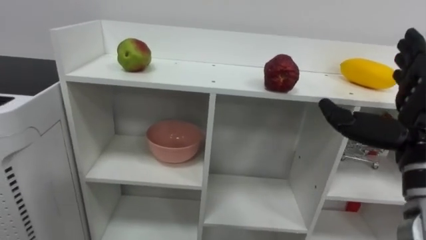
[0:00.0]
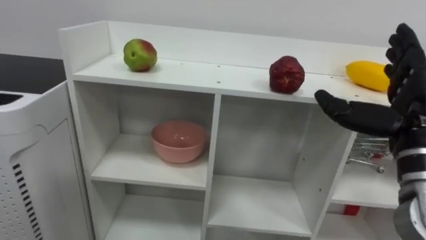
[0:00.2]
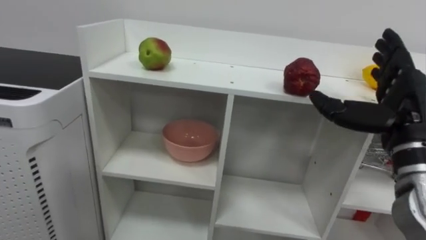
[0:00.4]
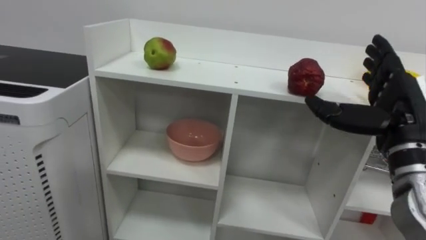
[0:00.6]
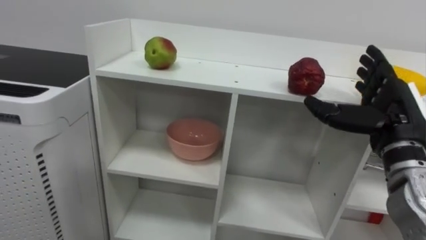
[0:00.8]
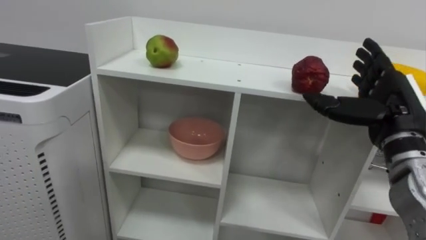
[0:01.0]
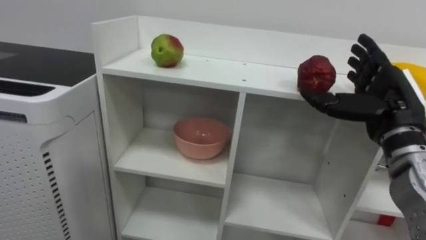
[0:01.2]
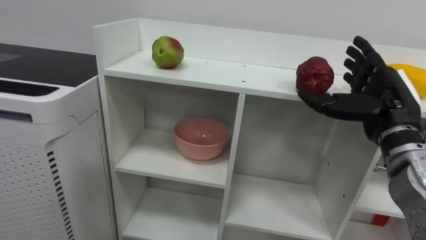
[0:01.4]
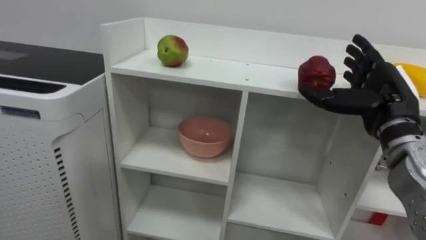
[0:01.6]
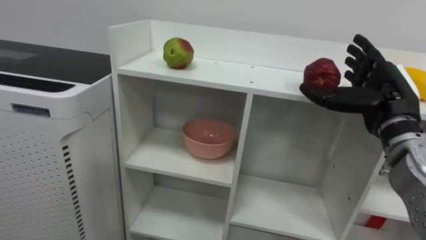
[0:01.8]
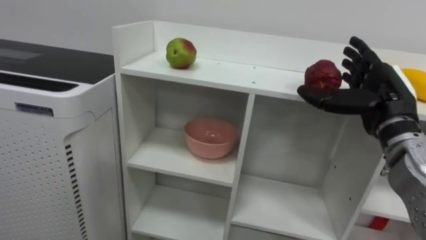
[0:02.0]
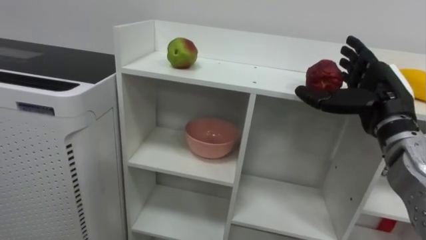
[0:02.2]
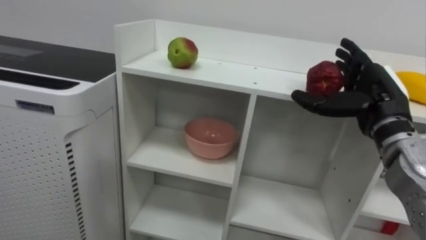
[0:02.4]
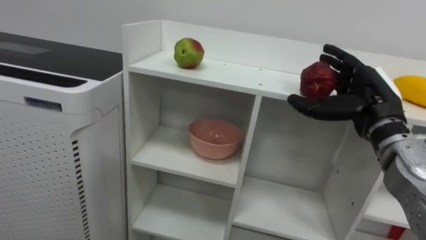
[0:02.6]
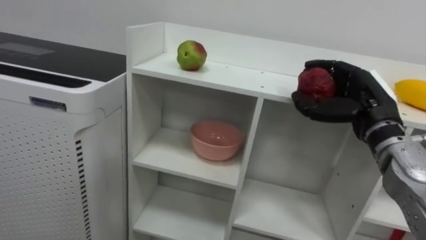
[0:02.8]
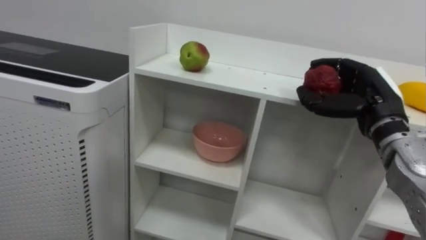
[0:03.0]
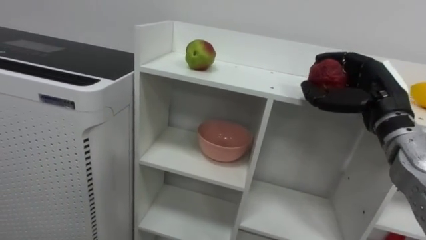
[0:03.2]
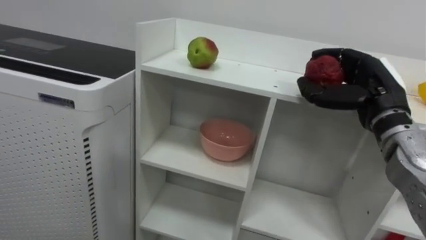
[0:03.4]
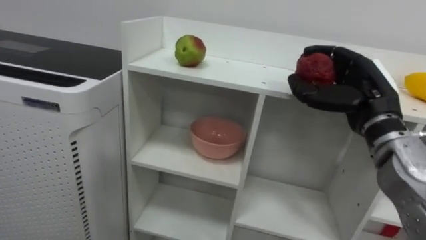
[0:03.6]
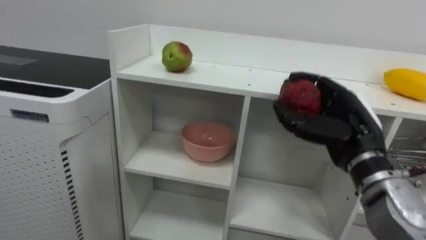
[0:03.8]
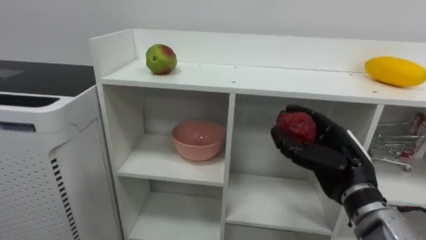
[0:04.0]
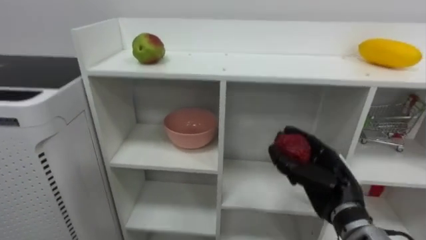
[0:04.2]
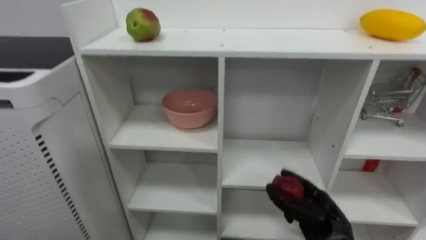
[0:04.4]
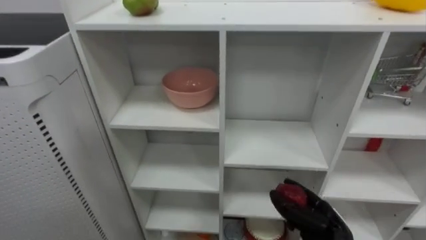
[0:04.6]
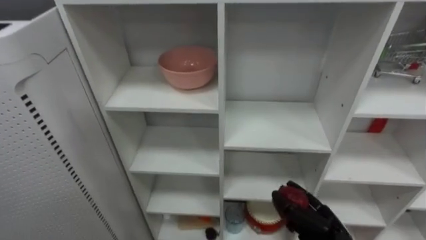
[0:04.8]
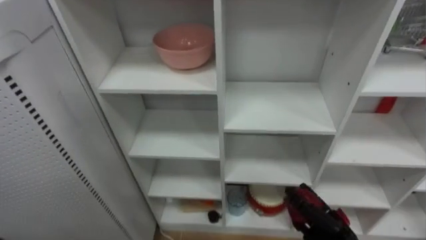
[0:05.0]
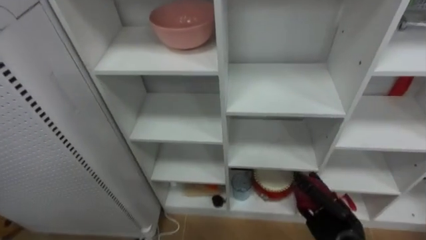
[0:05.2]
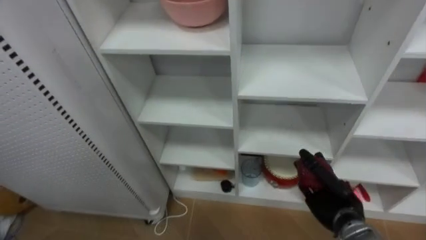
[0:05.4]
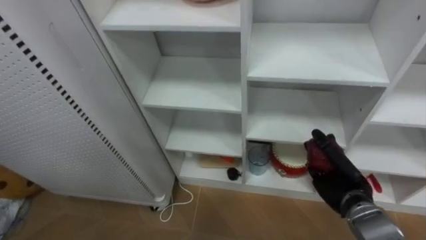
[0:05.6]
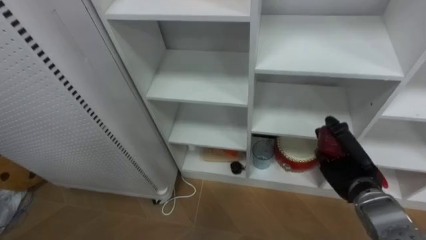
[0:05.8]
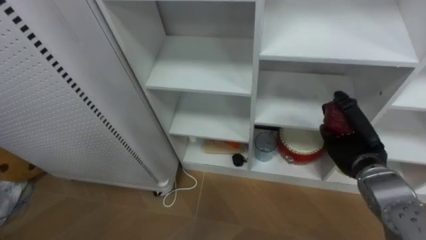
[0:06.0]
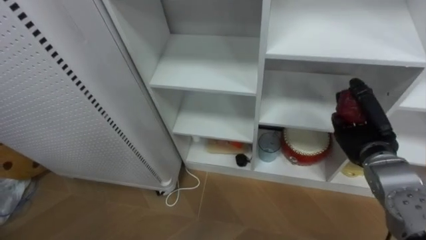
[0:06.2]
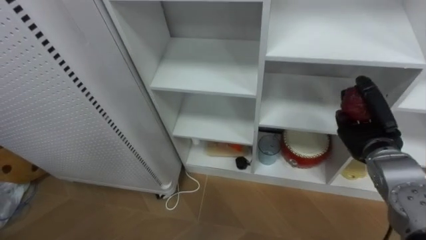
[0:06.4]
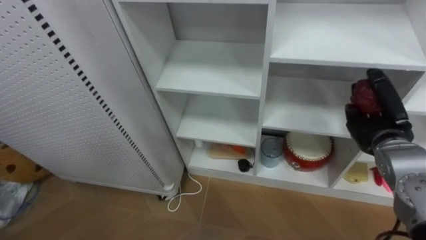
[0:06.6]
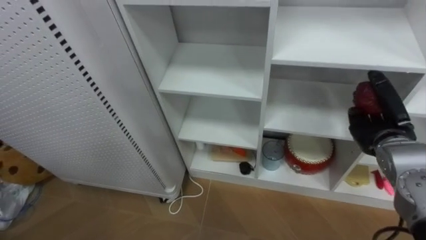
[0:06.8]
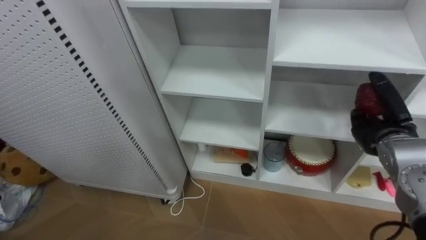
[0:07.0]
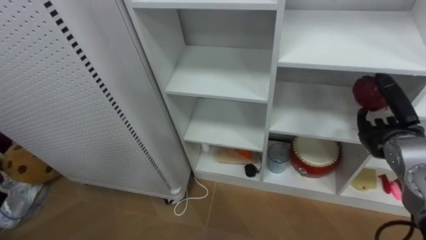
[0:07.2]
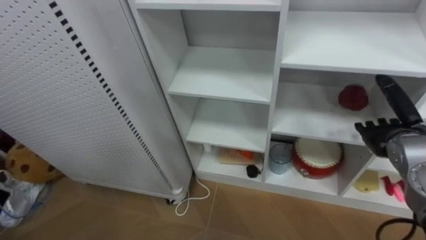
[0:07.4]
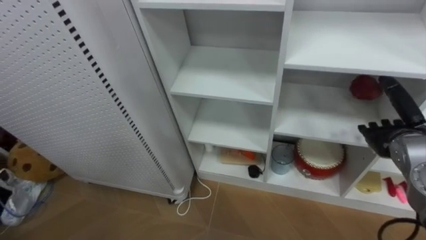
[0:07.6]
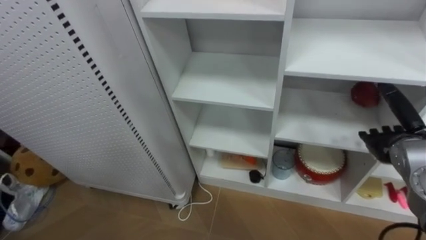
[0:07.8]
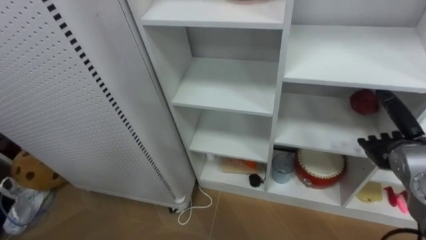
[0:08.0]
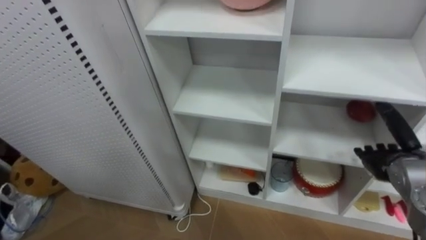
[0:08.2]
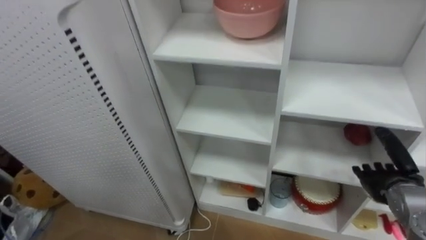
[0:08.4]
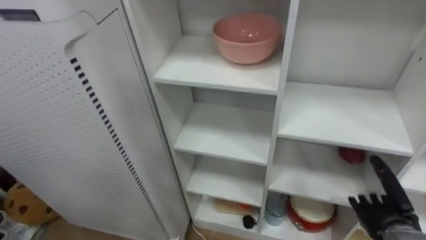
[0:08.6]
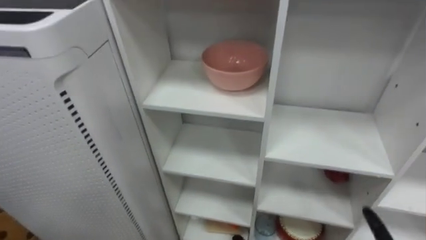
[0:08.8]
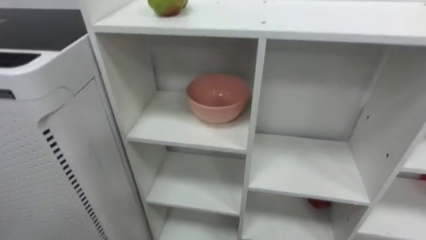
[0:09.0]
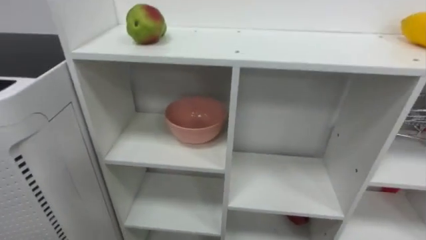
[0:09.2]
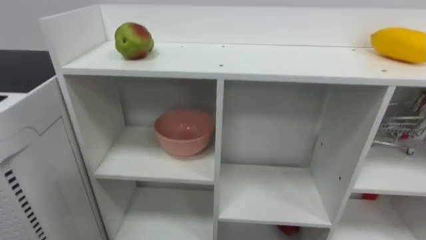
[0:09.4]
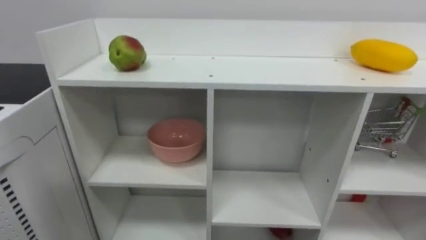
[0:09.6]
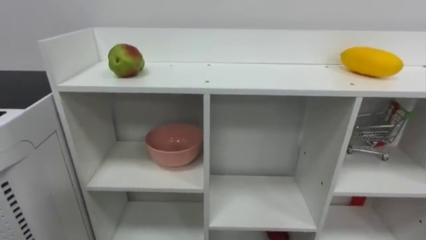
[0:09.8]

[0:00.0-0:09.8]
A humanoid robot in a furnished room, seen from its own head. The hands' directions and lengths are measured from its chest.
Task of the whole recording: Put the apple in the cell in the second column from the left and the second row from the top.
0:00.0 to 0:01.4: The right hand shifts about 10 cm forward.
0:01.4 to 0:02.8: The right hand closes.
0:02.8 to 0:04.2: The right hand heads downward and backward, covering some 10 cm.
0:04.2 to 0:05.6: The right hand goes approximately 5 cm downward.
0:05.6 to 0:07.0: The right hand is displaced upward and to the right by approximately 10 cm, and opens its fingers.
0:07.0 to 0:08.4: The right hand travels downward by some 10 cm.

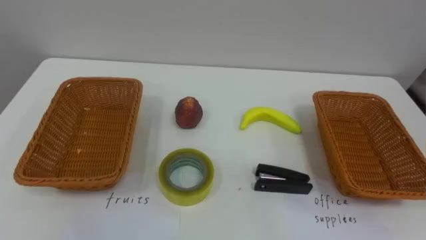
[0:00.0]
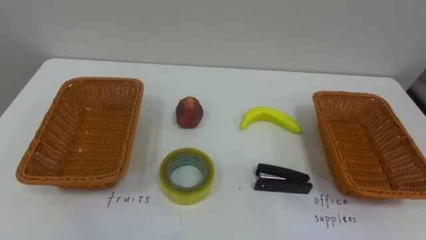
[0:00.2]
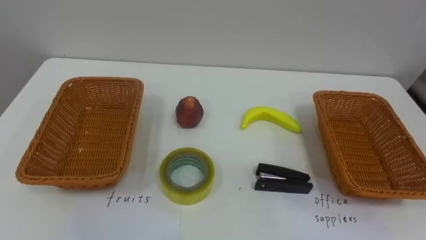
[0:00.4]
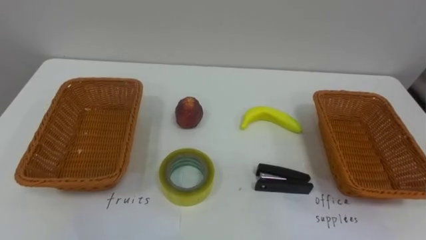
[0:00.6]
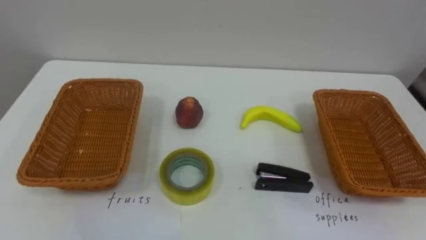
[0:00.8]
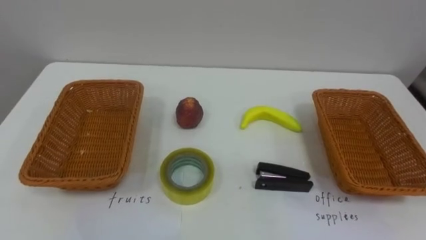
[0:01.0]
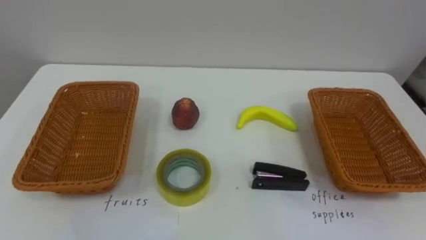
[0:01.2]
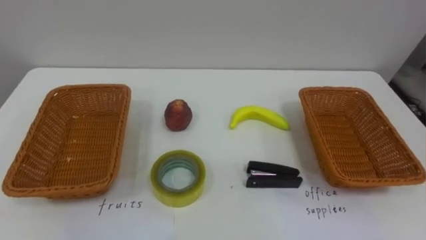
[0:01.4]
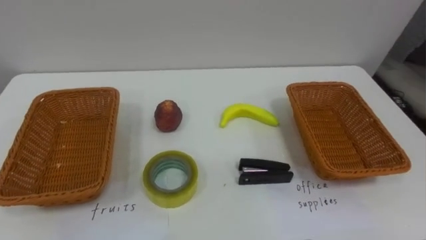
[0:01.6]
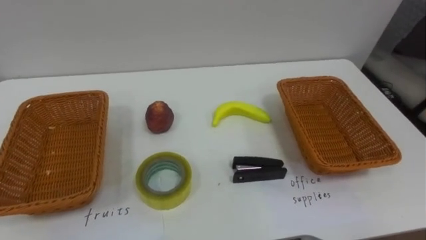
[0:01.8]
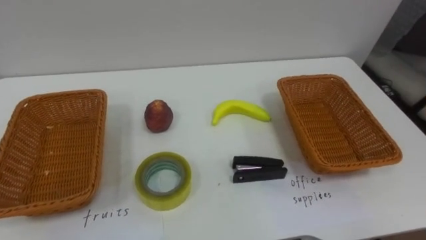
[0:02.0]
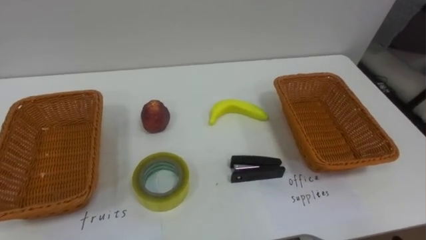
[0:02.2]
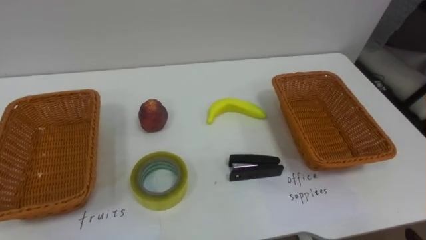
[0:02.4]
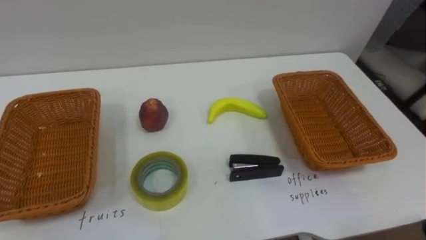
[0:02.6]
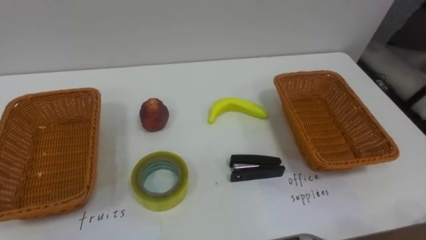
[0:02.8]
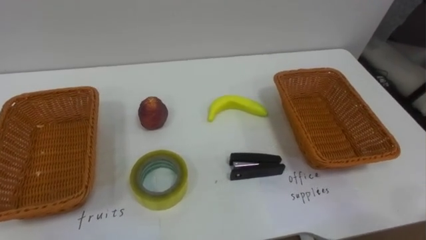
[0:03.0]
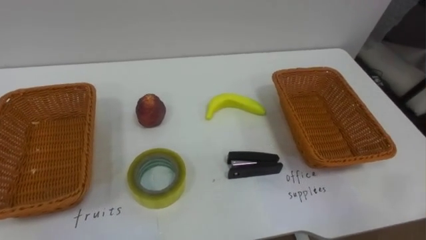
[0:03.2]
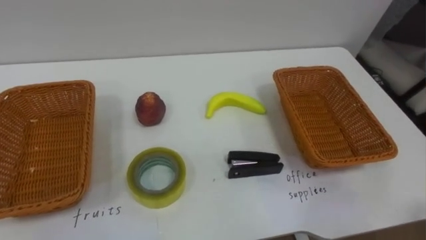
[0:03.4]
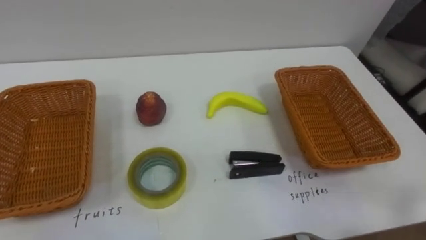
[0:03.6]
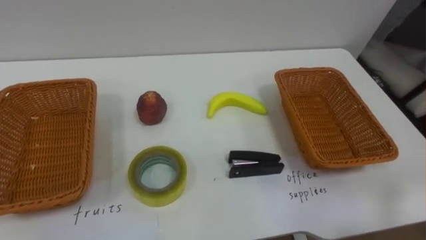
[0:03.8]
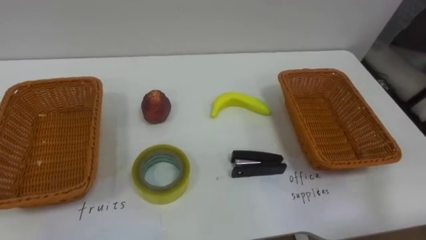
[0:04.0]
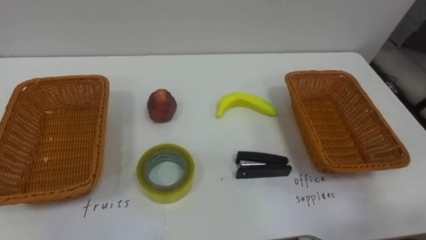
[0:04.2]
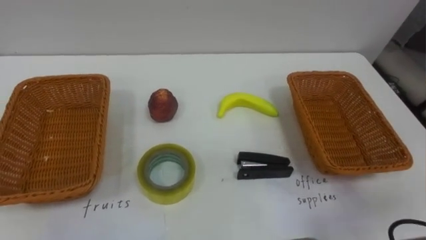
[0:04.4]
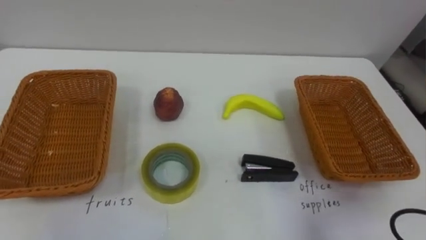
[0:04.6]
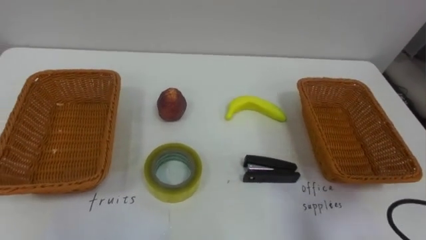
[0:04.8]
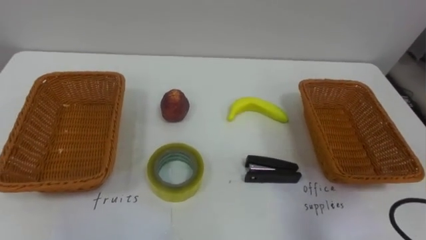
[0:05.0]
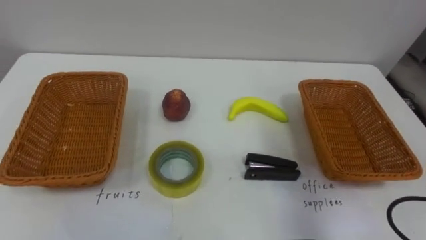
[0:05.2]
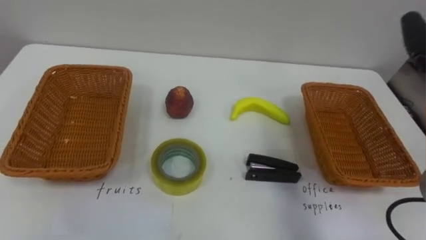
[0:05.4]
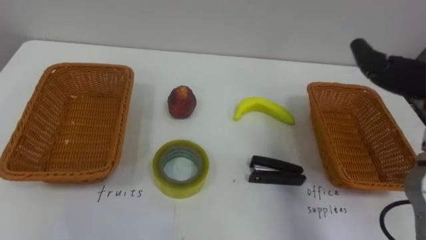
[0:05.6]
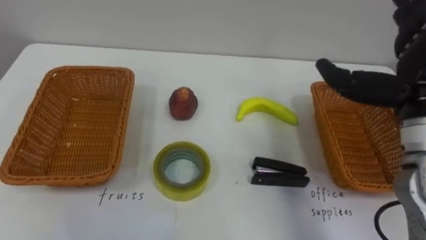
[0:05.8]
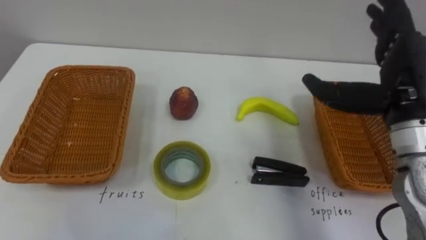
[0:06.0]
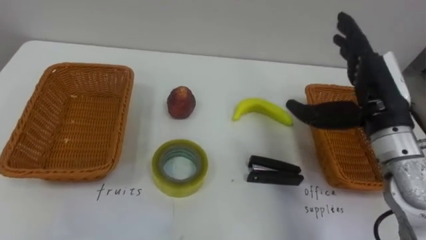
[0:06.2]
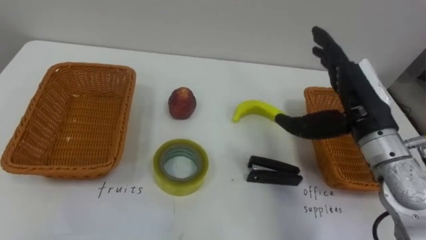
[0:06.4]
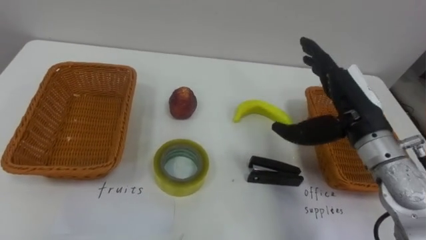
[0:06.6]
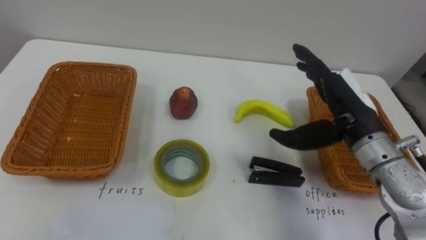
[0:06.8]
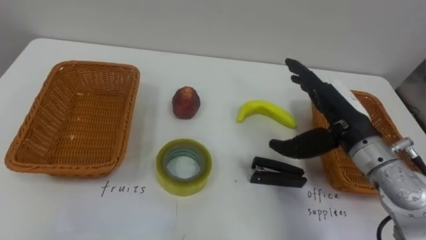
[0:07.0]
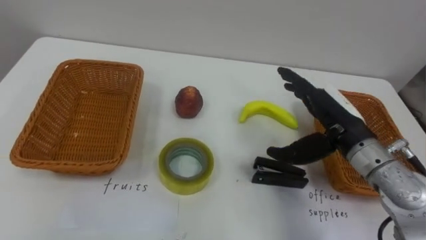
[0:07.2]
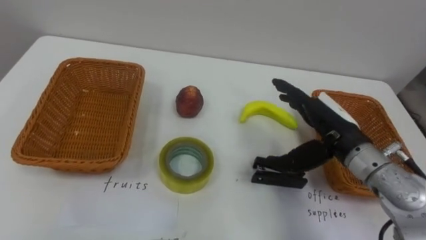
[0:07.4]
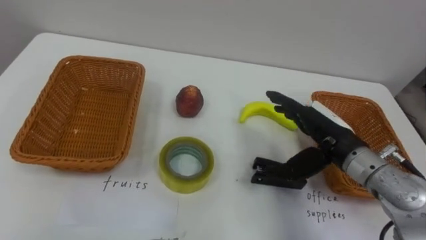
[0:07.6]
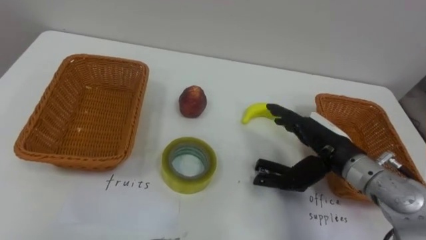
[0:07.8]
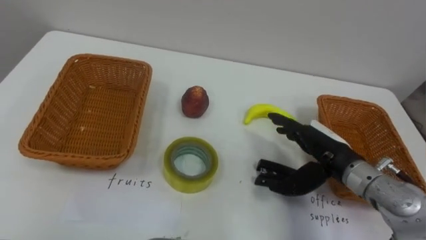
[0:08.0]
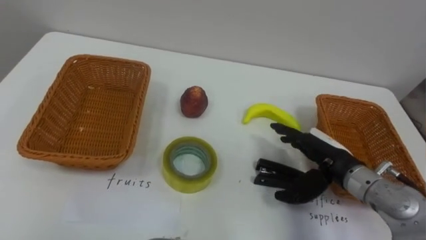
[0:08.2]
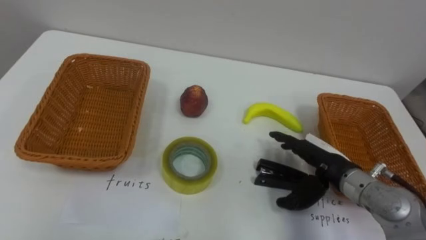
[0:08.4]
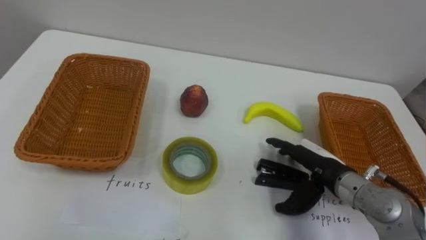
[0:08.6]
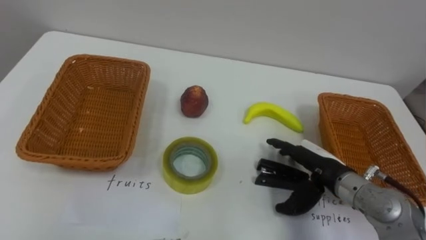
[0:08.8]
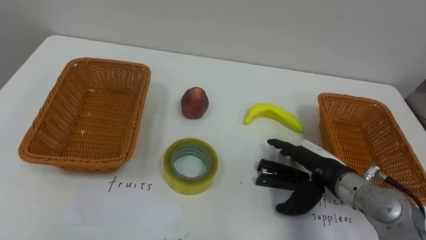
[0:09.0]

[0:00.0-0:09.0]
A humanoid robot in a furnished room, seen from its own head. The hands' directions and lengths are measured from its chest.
Task of the whole recording: Separate the items on the table and place them into the two baskets.
0:06.0 to 0:07.6: The right hand goes some 15 cm downward and to the left.
0:07.6 to 0:09.0: The right hand travels downward by roughly 10 cm.
